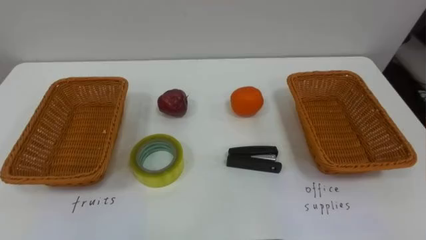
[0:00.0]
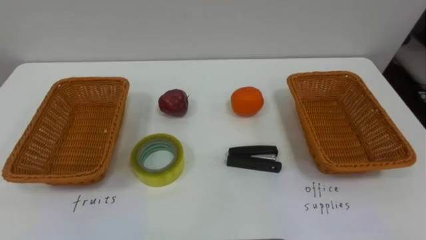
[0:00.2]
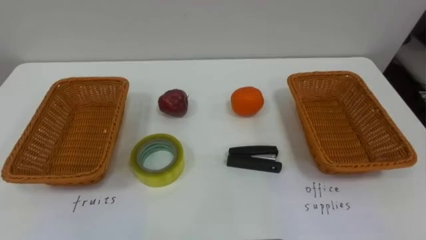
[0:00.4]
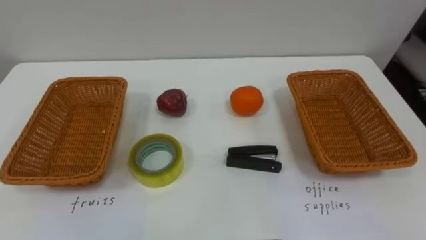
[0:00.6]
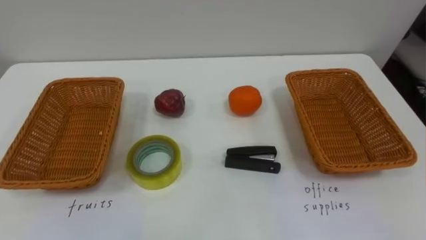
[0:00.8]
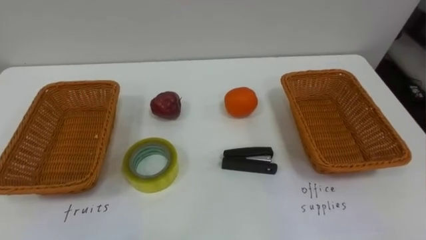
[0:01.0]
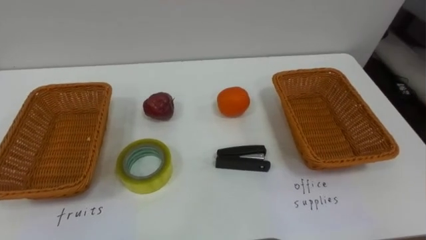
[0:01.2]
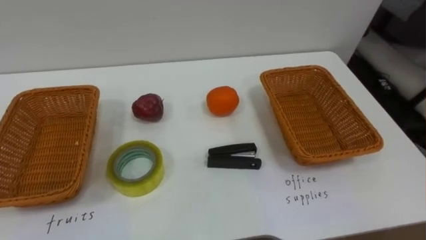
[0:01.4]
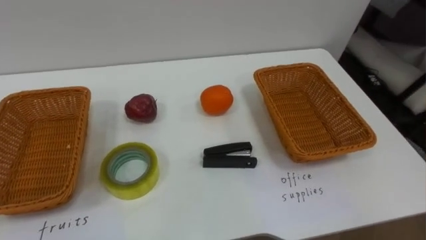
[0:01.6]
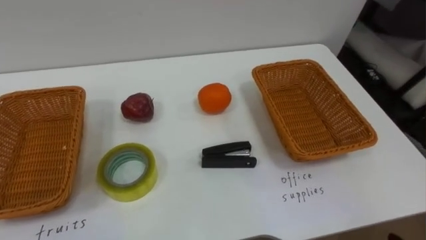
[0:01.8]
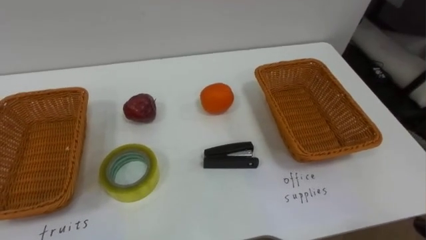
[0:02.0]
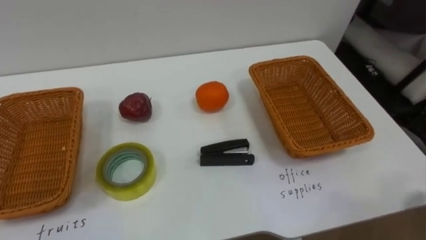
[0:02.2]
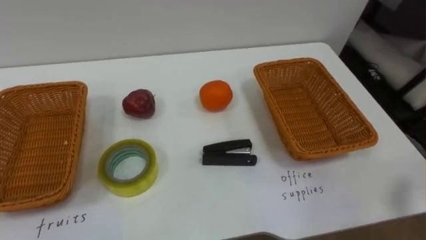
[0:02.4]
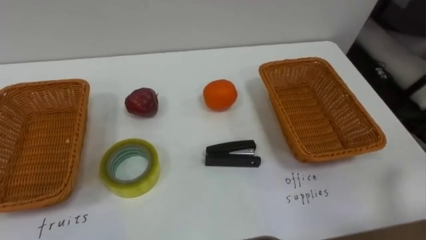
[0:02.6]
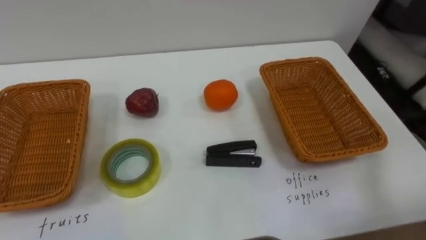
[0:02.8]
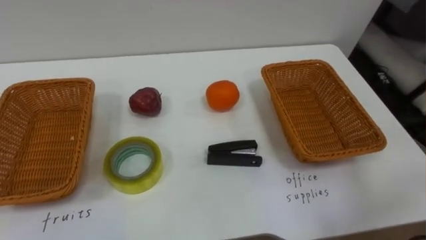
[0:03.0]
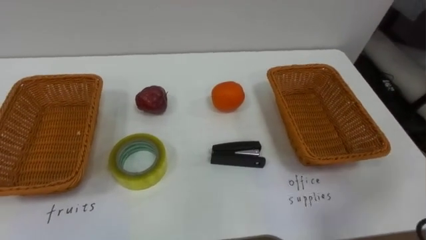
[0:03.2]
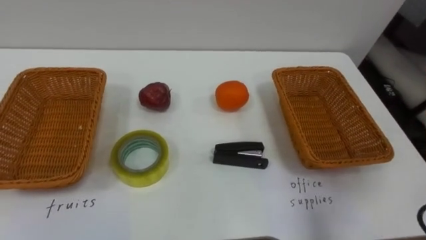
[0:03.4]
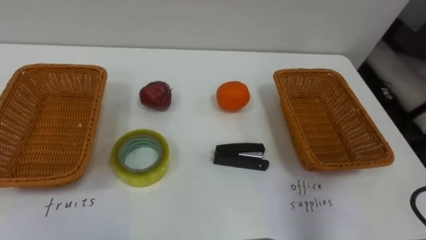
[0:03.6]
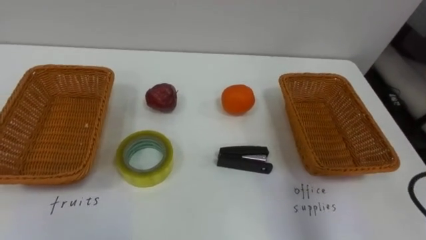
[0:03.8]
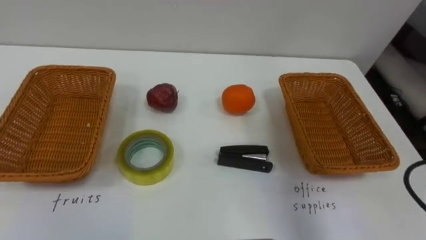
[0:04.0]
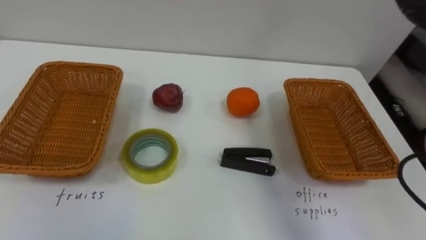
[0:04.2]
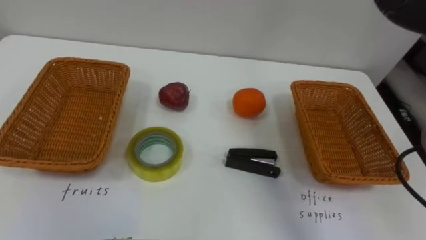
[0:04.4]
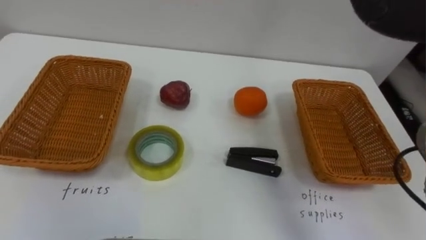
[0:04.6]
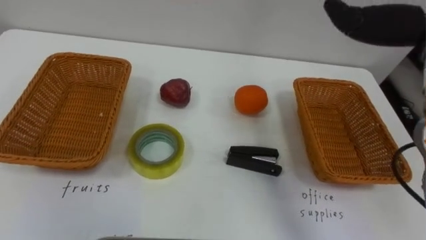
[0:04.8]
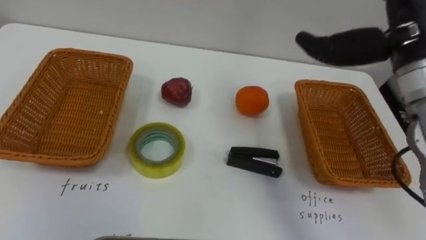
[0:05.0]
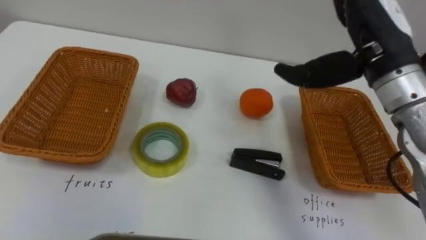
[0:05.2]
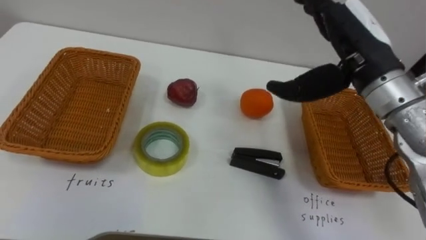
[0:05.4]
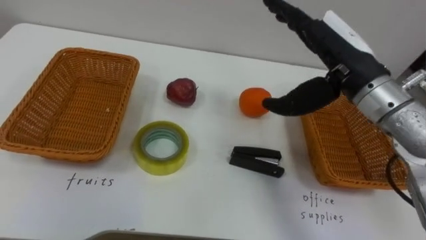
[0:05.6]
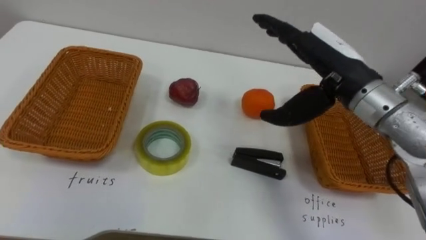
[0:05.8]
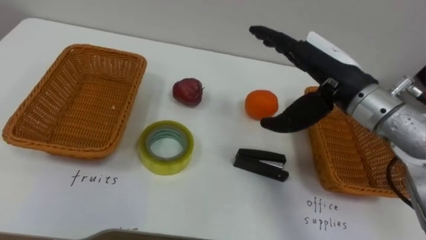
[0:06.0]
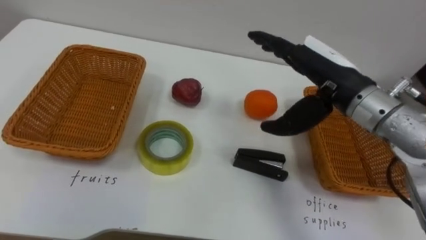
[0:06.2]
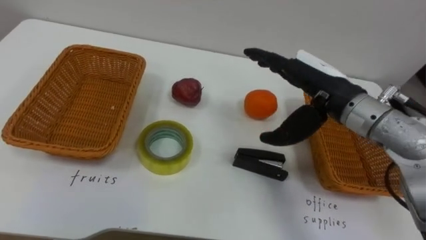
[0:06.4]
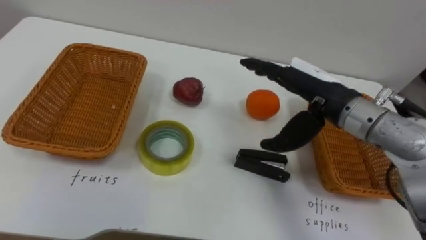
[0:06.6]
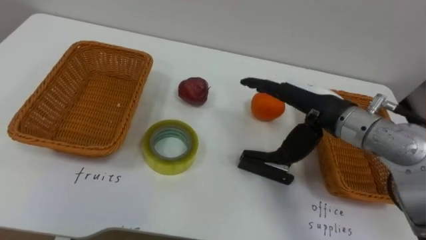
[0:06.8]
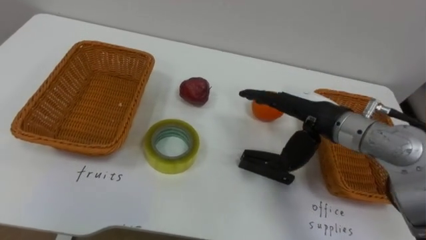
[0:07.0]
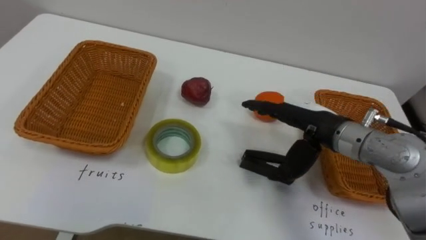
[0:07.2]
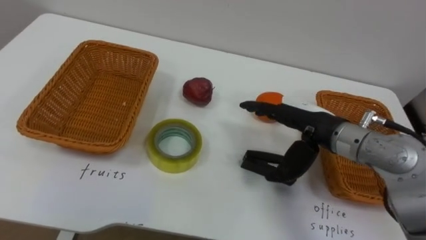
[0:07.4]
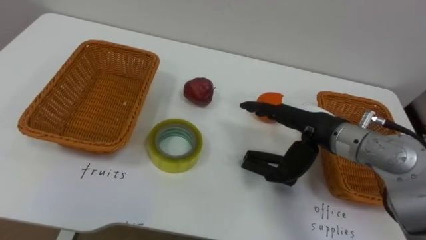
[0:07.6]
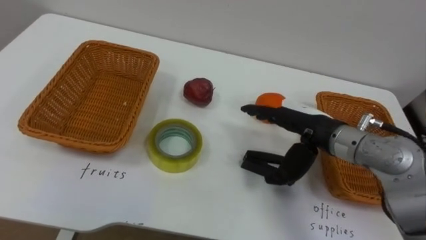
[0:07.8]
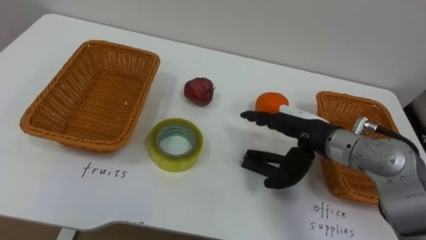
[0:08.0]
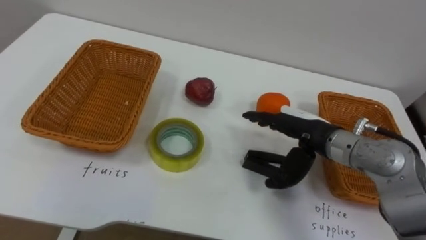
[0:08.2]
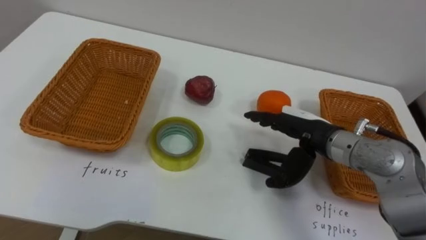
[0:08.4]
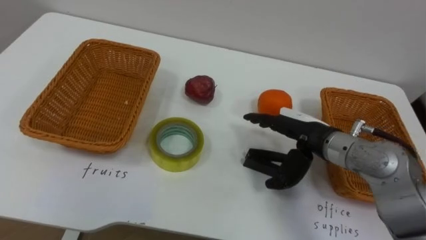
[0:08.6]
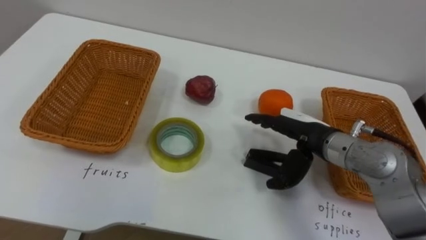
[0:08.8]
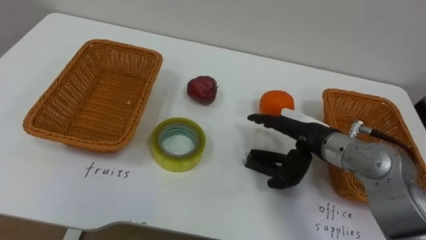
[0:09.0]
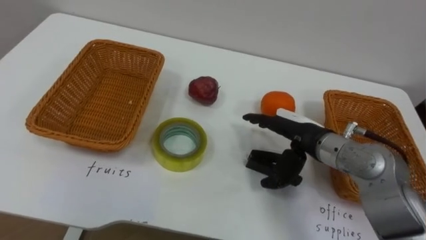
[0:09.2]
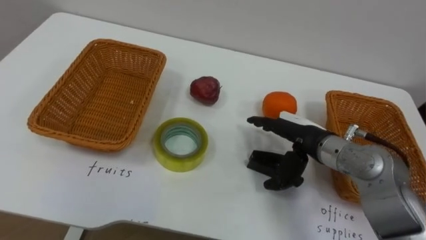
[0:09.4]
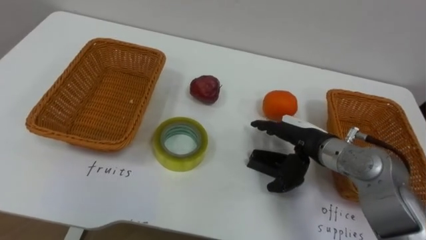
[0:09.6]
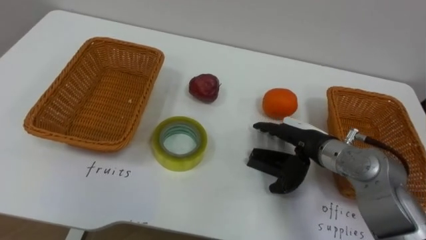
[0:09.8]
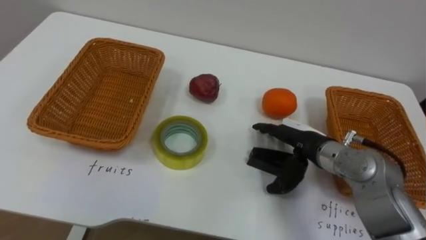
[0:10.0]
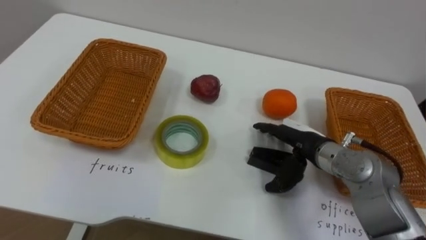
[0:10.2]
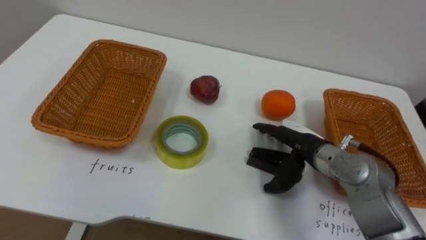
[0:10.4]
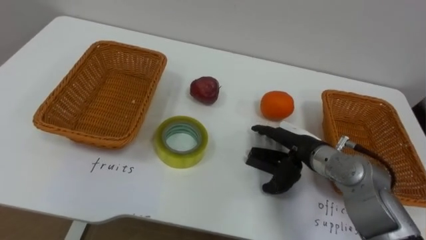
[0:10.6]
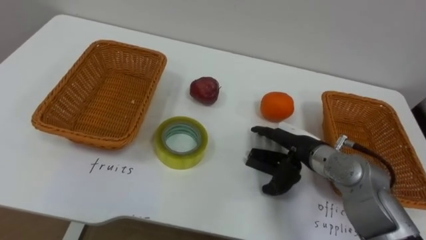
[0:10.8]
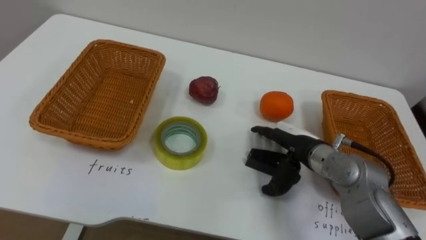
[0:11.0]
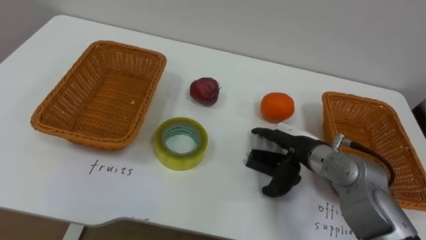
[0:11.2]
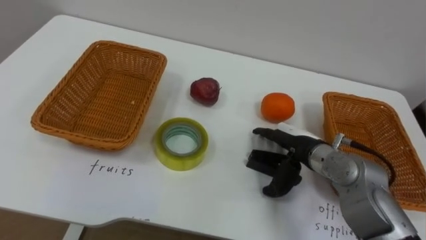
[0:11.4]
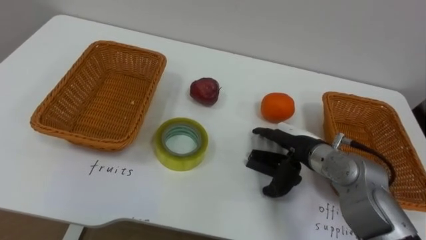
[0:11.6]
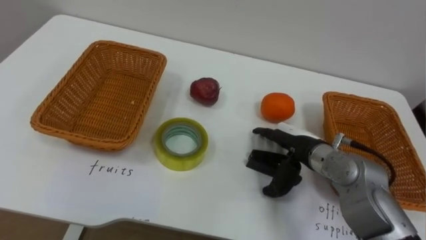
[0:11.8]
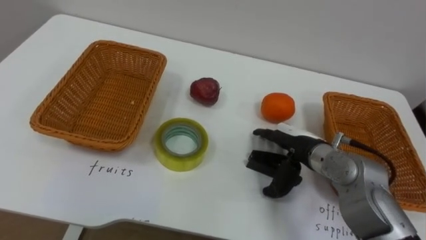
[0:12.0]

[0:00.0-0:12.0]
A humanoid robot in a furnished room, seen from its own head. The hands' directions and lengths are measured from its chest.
Task of the whole recording: Separate the items on the table and place them into the two baskets.
0:06.0 to 0:07.6: The right hand goes approximately 10 cm downward.

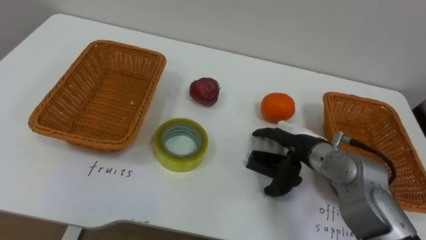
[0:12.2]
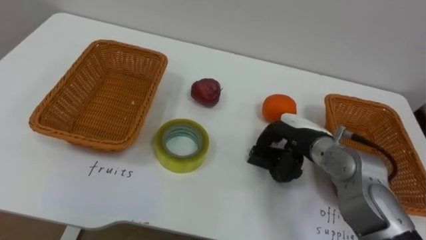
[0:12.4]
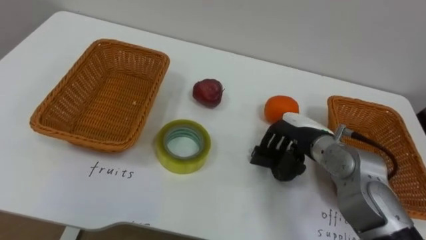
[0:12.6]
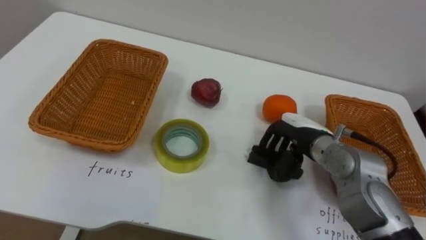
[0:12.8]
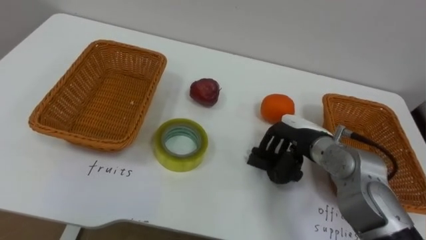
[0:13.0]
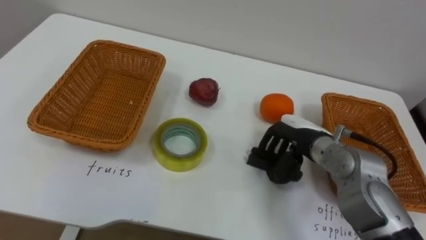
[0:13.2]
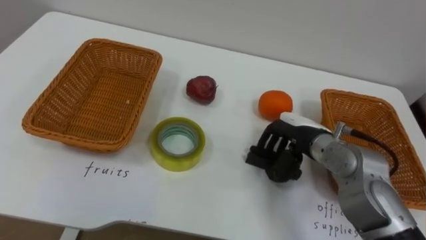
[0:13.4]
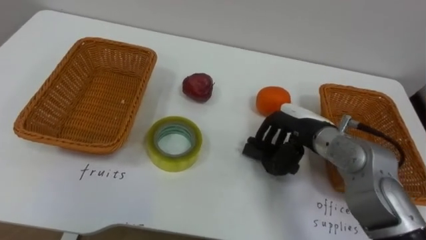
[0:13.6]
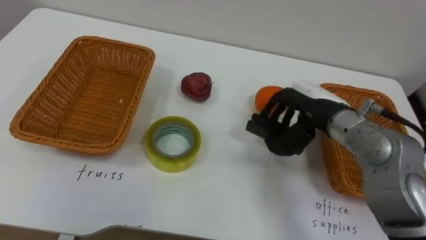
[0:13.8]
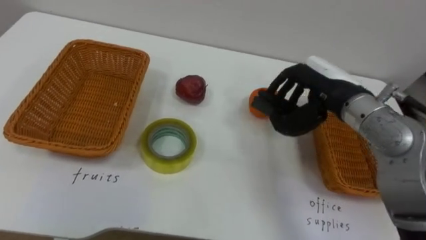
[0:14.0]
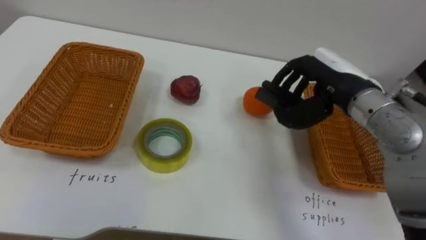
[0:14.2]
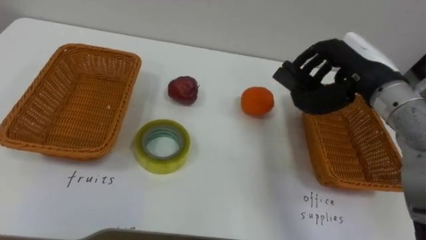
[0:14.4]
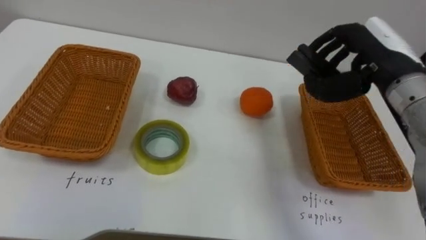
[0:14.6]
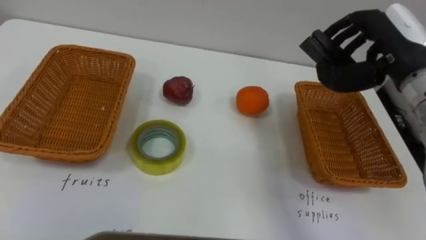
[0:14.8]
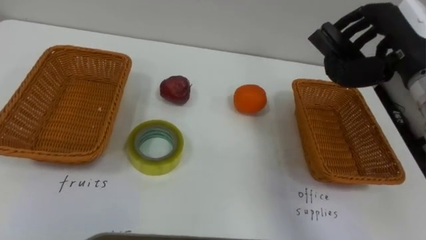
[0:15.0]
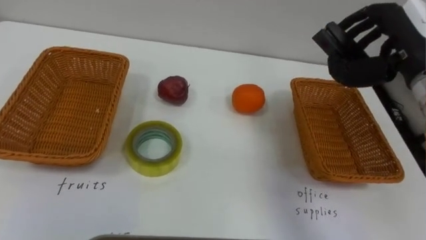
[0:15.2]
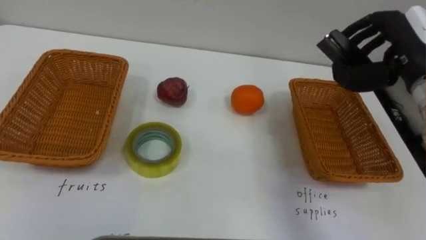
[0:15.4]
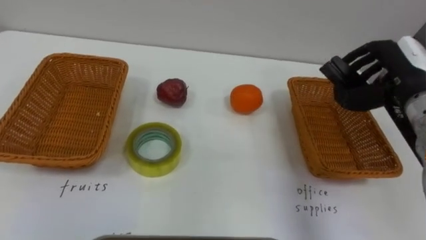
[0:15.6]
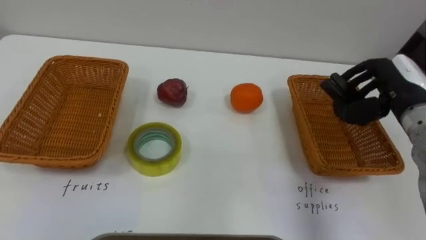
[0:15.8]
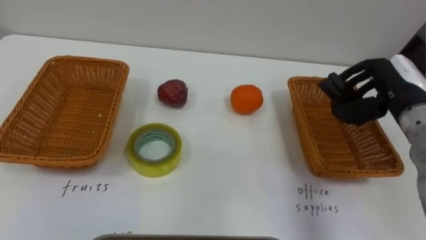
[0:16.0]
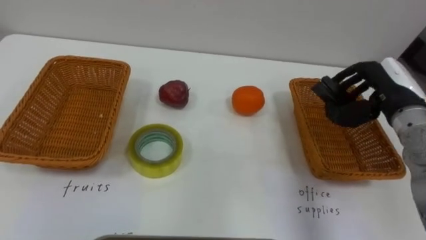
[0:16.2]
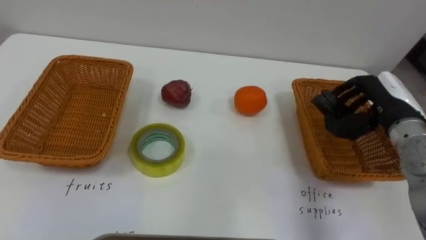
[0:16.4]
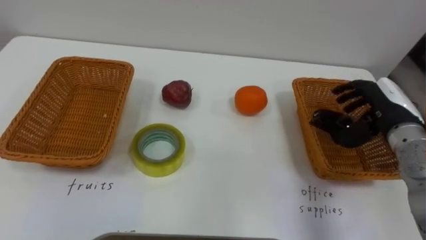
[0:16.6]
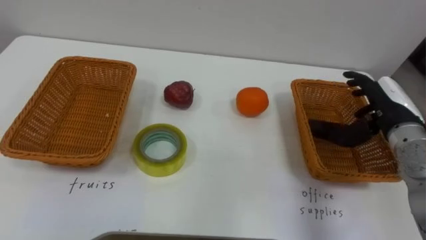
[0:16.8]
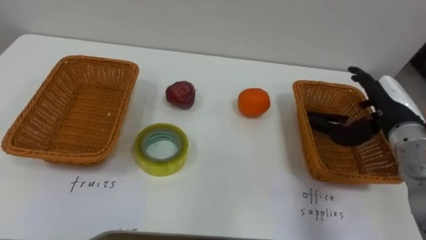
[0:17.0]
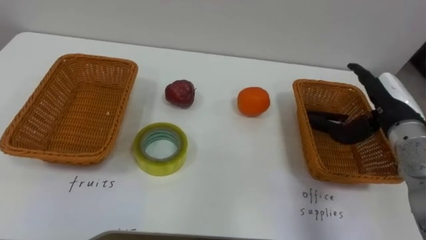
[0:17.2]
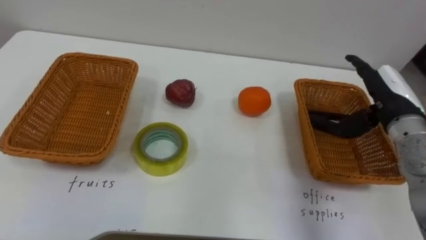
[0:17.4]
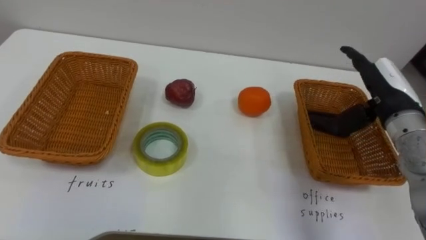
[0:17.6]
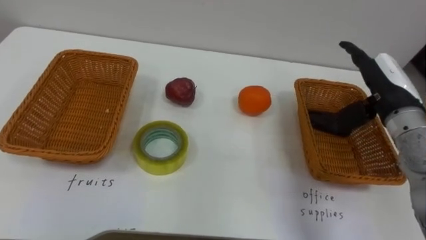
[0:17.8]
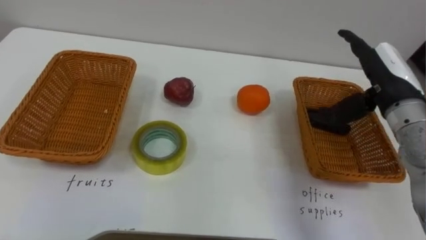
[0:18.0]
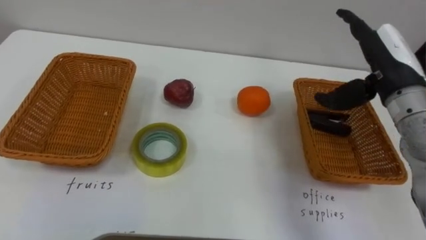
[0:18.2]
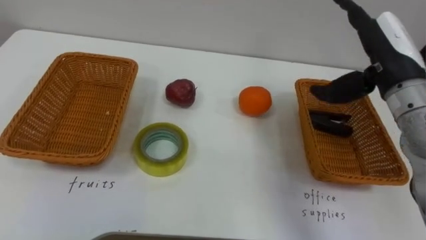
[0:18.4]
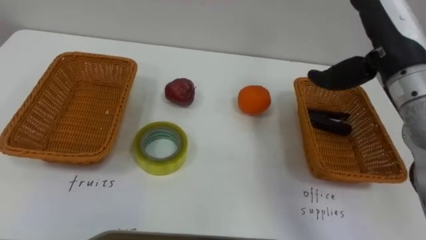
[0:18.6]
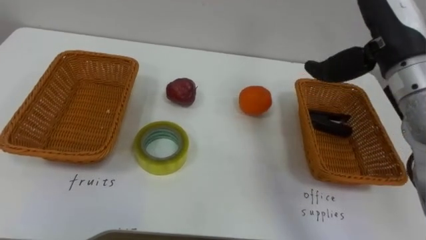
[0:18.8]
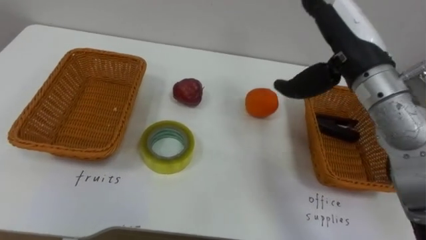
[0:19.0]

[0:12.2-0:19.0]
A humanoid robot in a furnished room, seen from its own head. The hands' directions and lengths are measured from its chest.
Task of the whole recording: Separate the items on the table and place them into the two baskets.
0:12.2 to 0:13.6: The right hand closes its fingers.
0:13.6 to 0:15.0: The right hand heads upward and to the right, covering approximately 20 cm.
0:15.0 to 0:16.2: The right hand moves downward, approximately 10 cm.
0:16.2 to 0:17.6: The right hand opens.
0:17.6 to 0:19.0: The right hand is displaced upward and to the left by roughly 15 cm.
